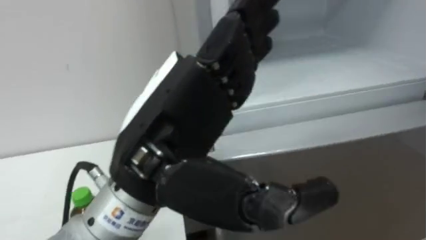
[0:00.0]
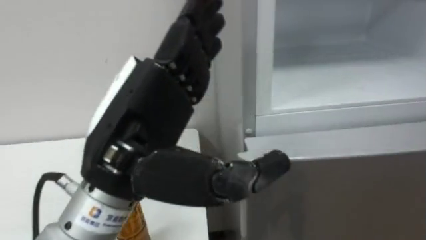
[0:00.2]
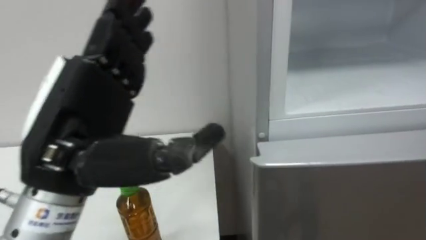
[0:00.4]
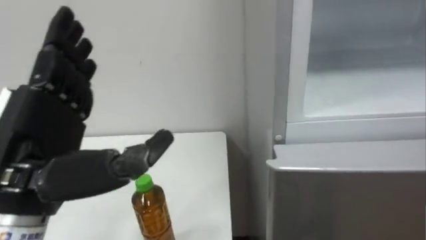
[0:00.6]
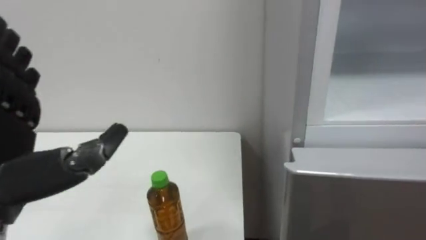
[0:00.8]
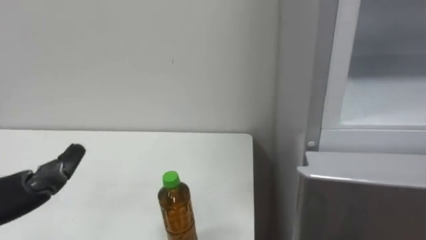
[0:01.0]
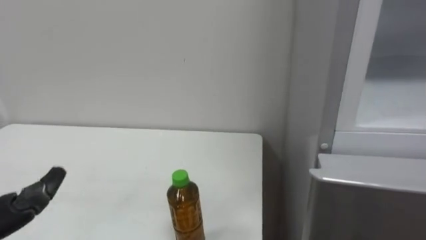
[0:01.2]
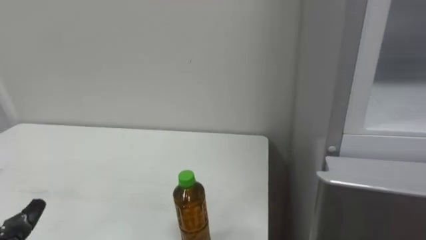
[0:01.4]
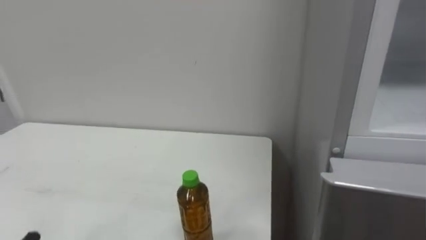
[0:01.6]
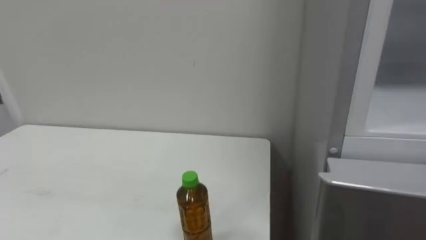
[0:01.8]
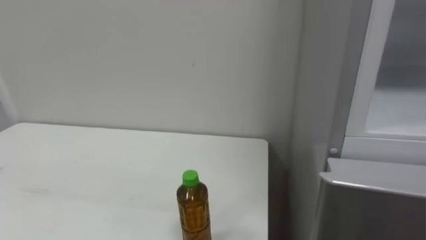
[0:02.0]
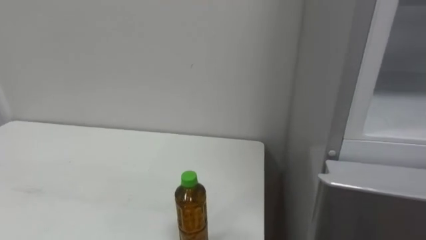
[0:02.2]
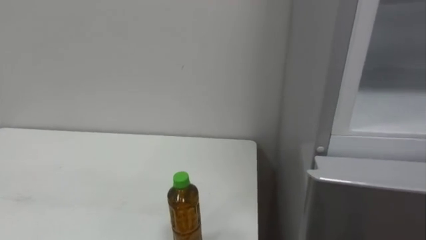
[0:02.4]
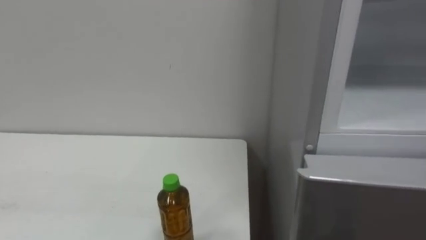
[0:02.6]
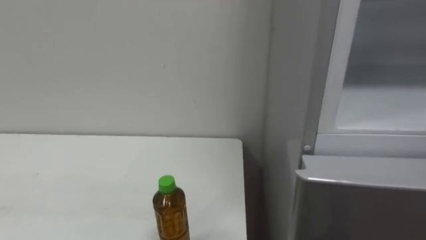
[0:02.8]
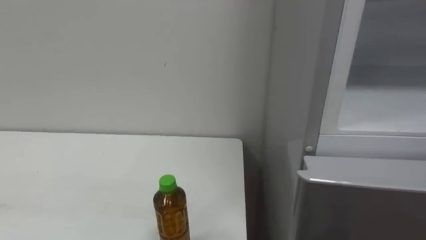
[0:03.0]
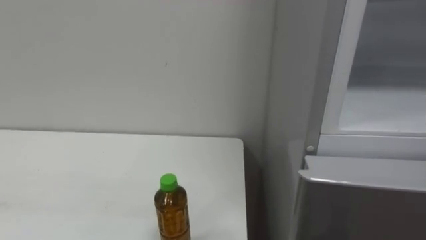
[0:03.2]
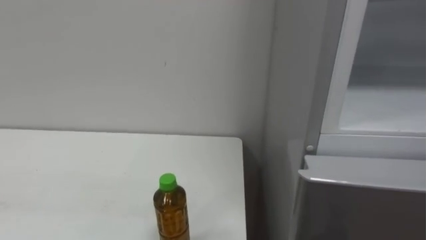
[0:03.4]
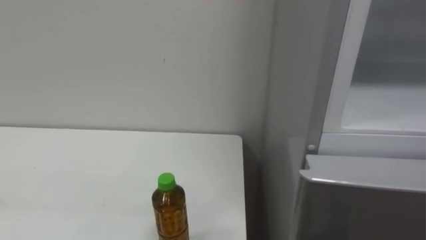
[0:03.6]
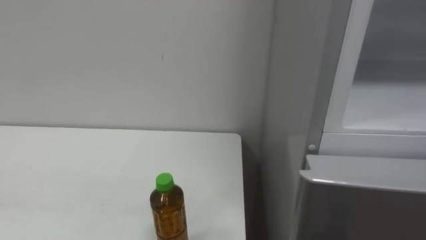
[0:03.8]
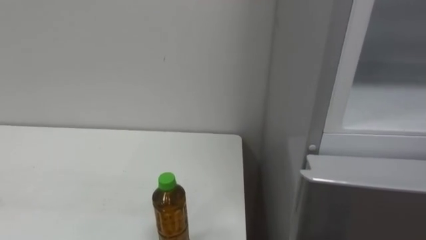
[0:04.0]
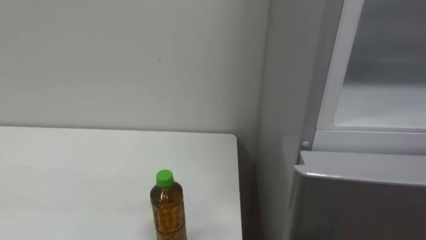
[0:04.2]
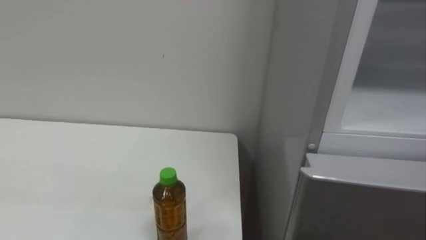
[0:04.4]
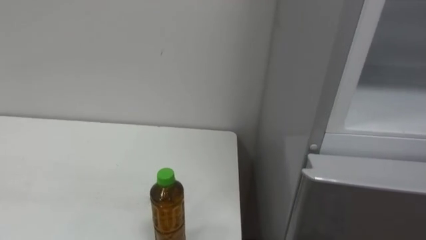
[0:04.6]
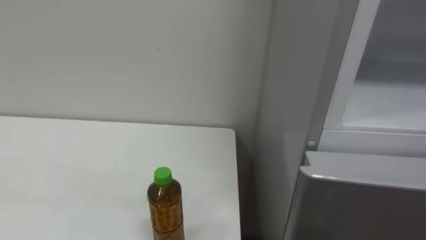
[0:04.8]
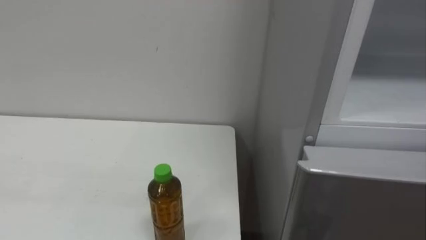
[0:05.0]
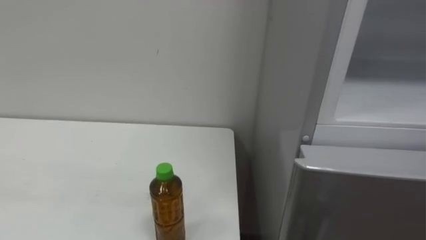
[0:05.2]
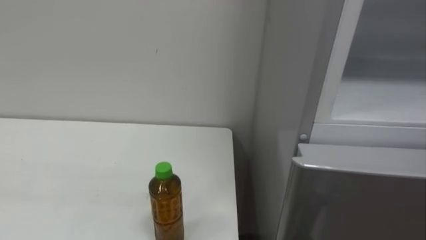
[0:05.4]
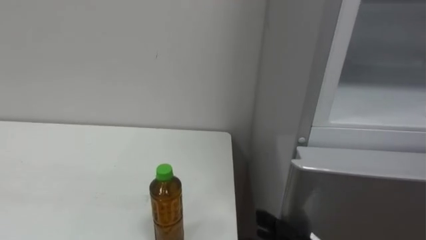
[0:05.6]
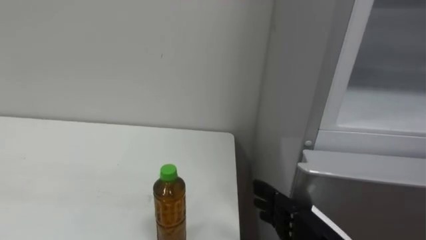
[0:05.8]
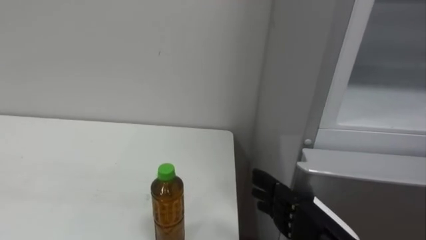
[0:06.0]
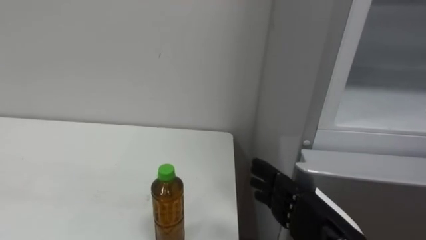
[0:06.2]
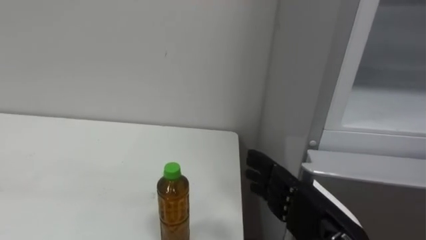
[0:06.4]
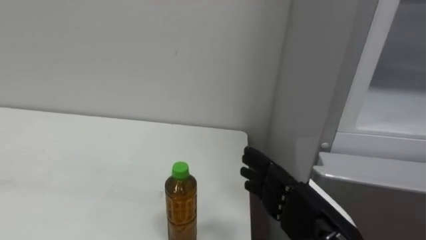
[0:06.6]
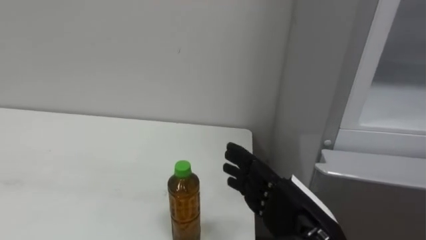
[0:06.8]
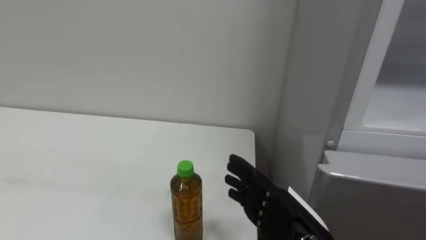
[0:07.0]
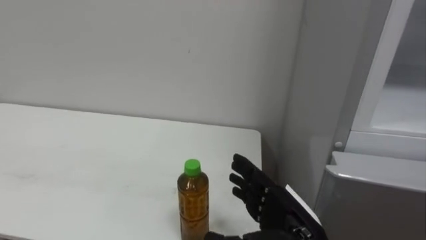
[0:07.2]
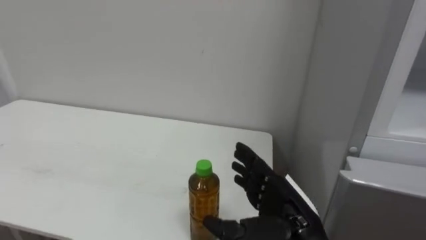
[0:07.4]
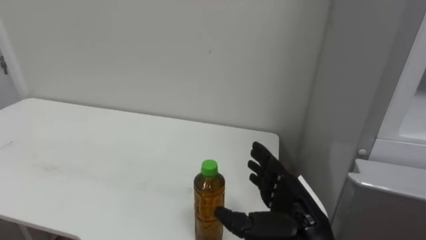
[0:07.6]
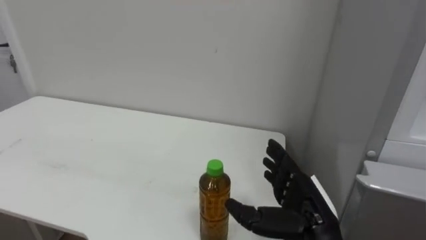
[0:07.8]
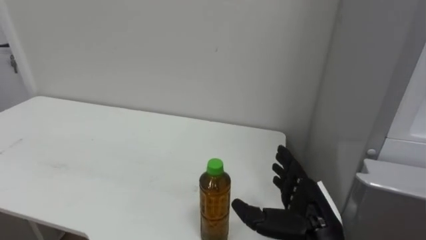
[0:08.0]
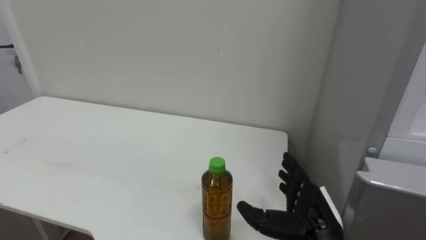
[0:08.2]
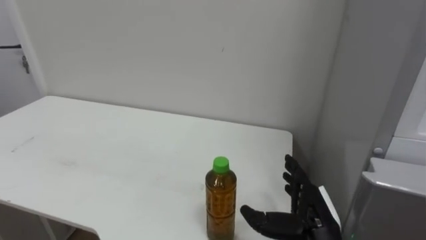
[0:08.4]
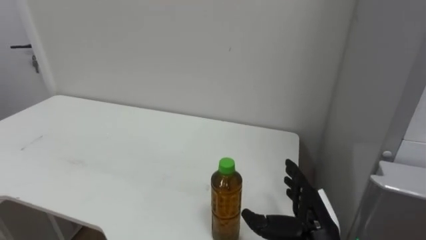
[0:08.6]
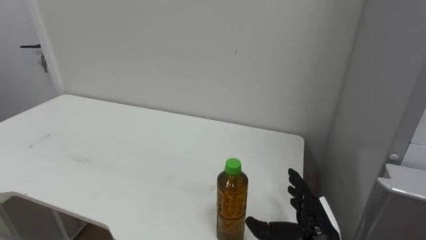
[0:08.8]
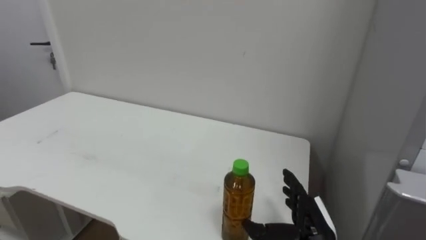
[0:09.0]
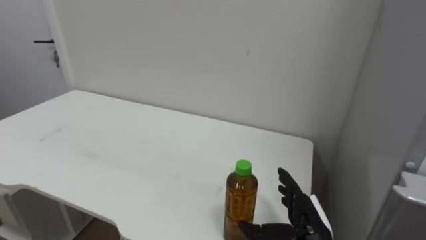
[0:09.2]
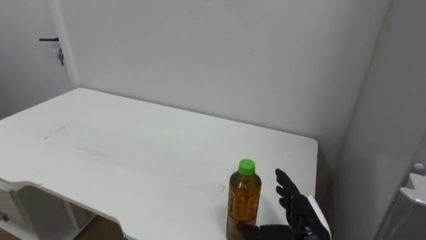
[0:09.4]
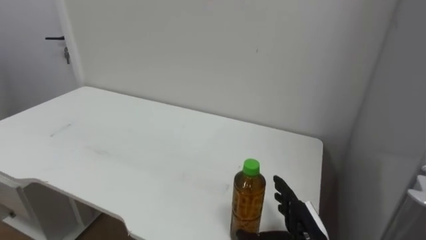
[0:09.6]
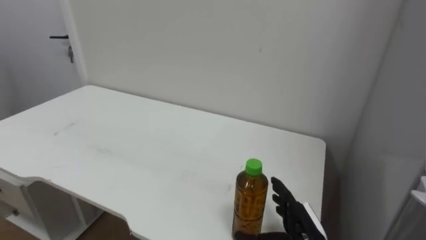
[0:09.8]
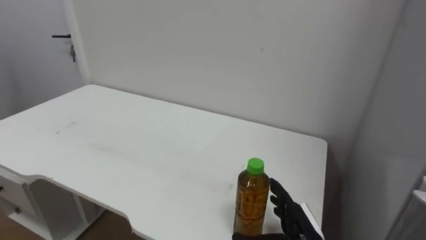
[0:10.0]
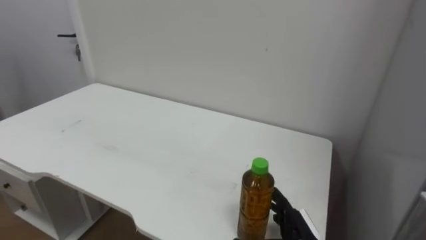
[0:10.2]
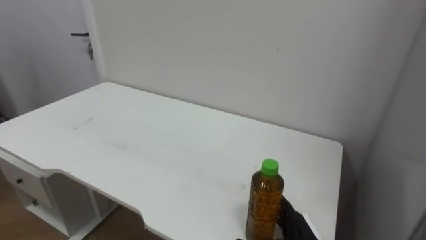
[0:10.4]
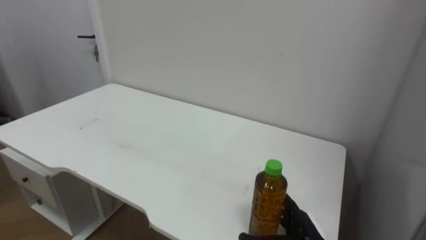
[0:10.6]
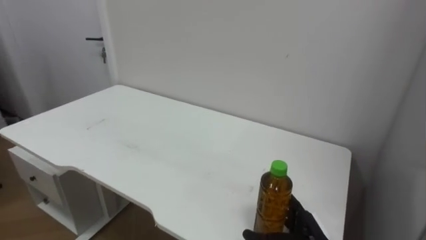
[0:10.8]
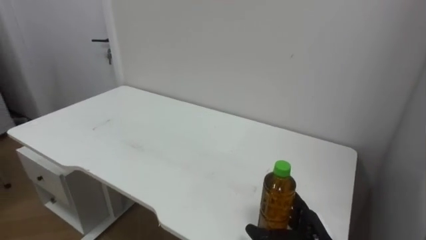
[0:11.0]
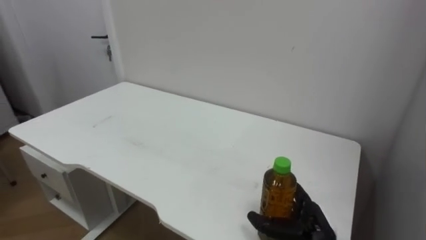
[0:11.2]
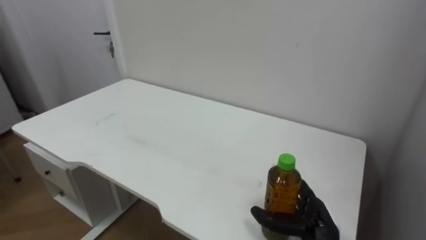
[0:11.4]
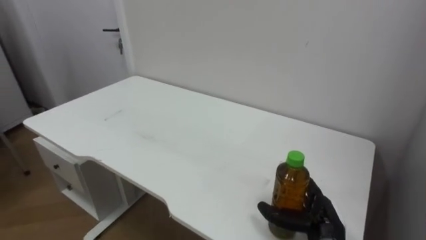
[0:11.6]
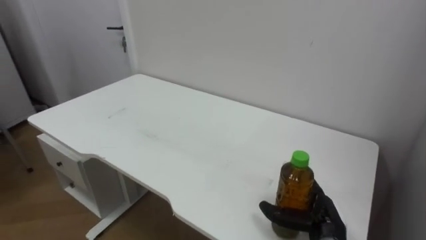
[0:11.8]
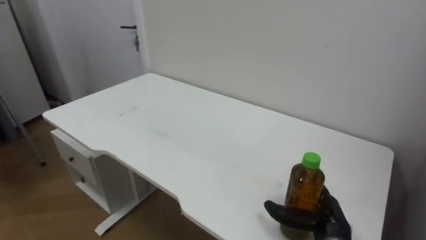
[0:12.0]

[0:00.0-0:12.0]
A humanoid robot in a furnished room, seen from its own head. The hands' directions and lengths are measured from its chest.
Task of the whole recording: Open the upper refrigerator door, put the drink from the table into the refrigerator, and then close the refrigerator door.
0:06.0 to 0:07.6: The right hand shifts by about 5 cm.
0:07.6 to 0:09.0: The right hand travels downward by about 5 cm.
0:10.4 to 0:12.0: The right hand heads to the right, covering approximately 5 cm.

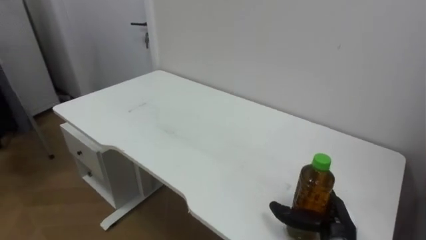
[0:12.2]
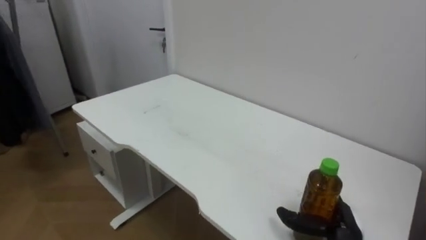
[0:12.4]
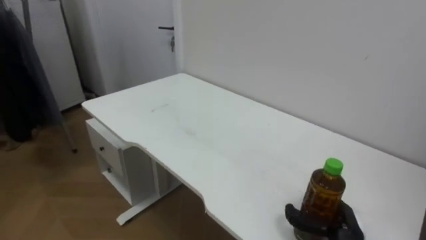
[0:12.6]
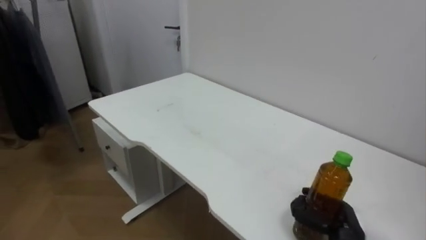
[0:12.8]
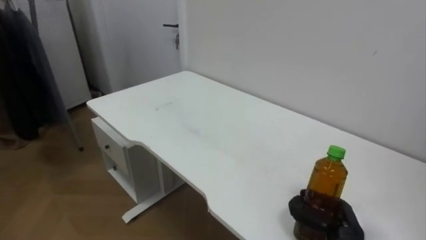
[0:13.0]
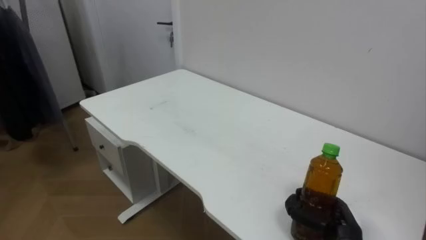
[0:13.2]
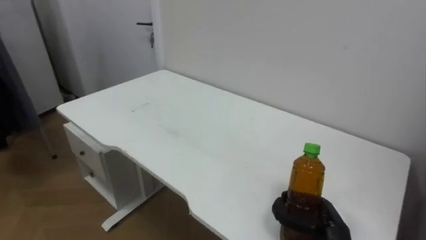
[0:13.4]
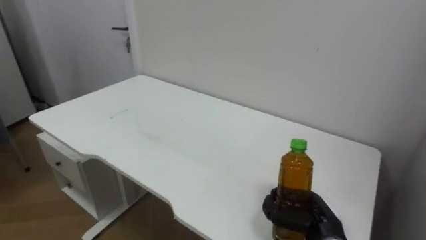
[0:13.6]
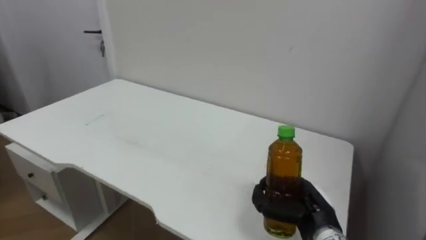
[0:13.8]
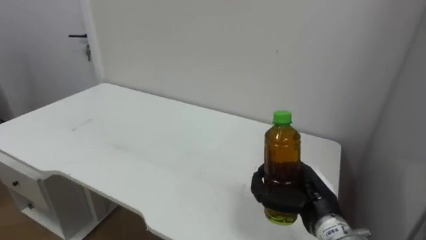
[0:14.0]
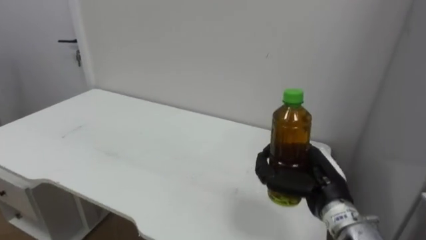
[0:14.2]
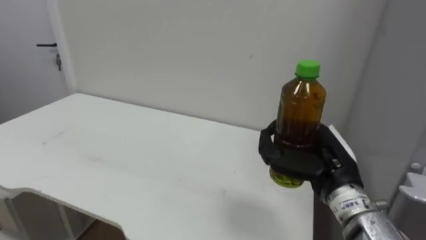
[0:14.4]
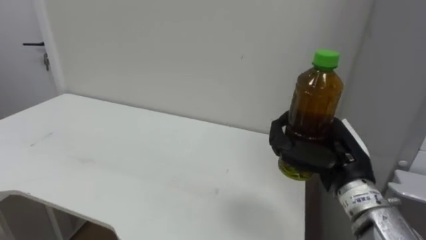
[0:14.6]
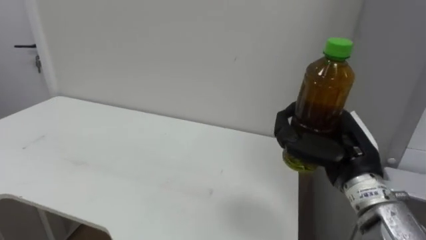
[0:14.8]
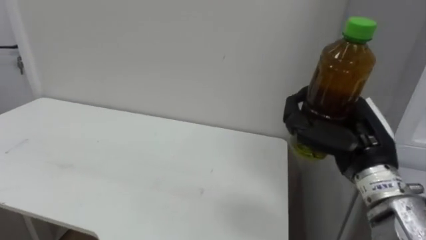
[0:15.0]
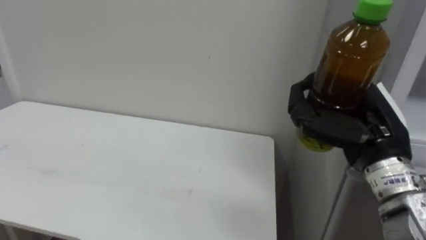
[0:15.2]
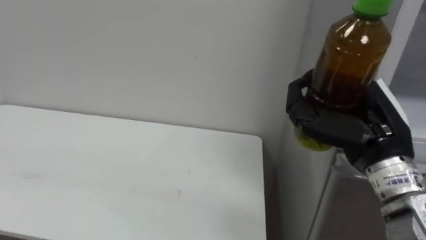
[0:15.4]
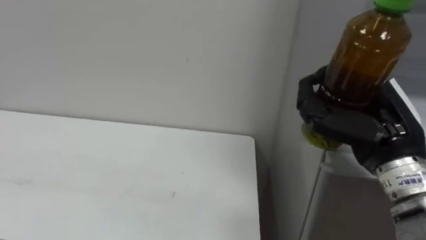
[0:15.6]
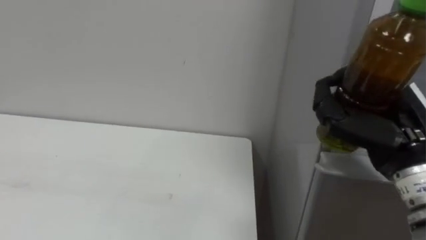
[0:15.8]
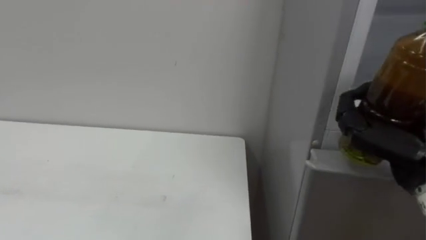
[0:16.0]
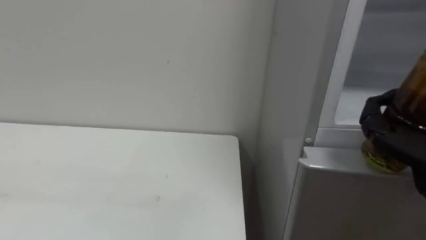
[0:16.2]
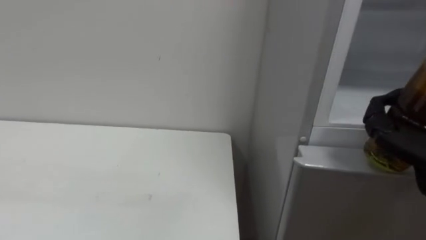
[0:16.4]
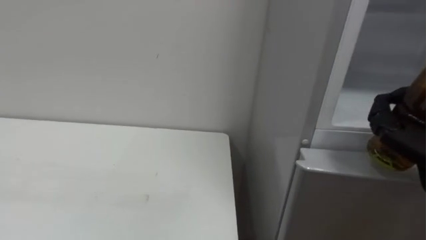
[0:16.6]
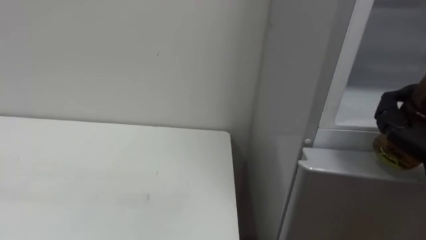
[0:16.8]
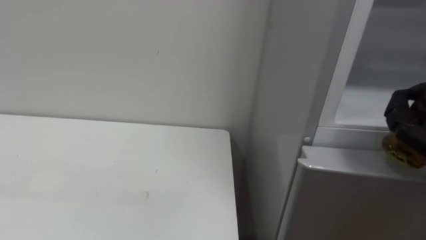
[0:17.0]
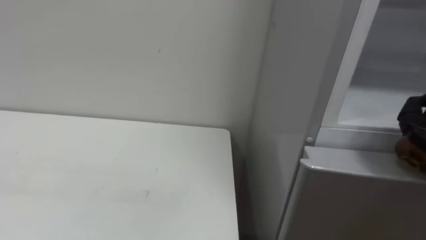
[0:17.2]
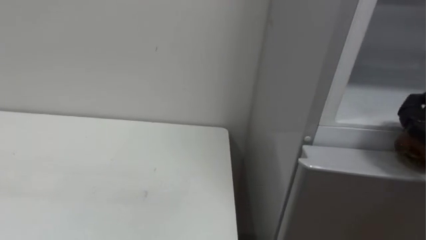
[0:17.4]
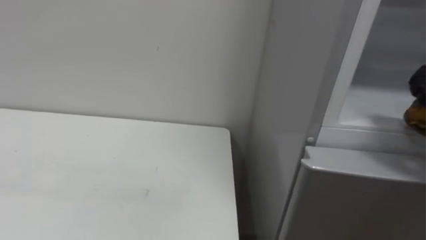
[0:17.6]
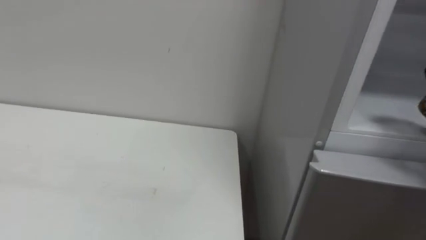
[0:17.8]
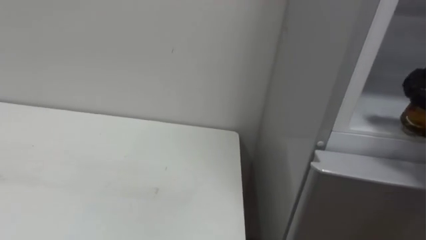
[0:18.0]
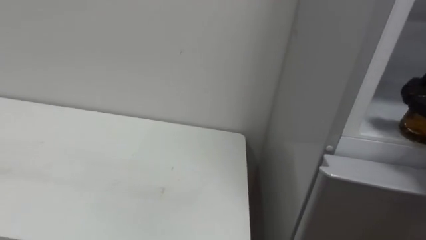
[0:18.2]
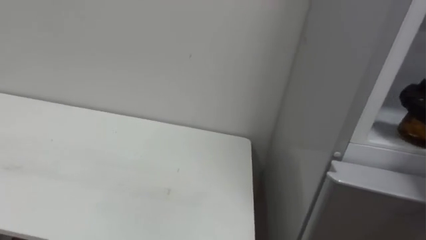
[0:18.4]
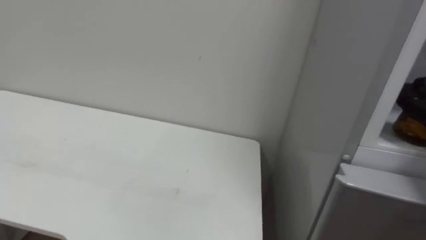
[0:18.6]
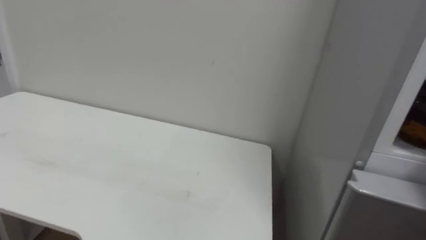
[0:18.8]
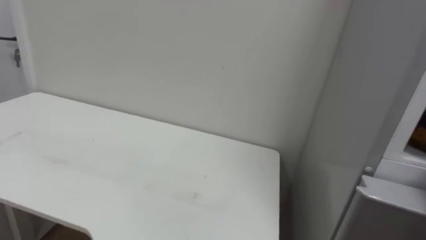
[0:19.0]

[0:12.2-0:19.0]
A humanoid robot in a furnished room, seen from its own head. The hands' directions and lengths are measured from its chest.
Task of the whole recording: Open the upper refrigerator door, put the drink from the table into the refrigerator, and then close the refrigerator door.
0:12.2 to 0:13.6: The right hand closes its fingers.
0:13.6 to 0:15.0: The right hand goes some 20 cm upward.
